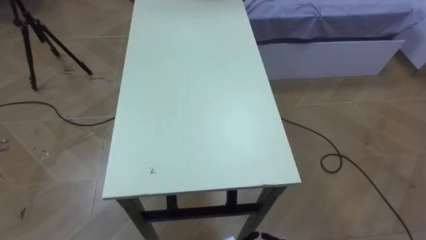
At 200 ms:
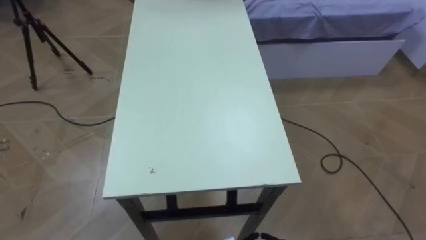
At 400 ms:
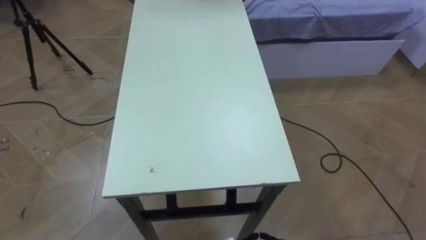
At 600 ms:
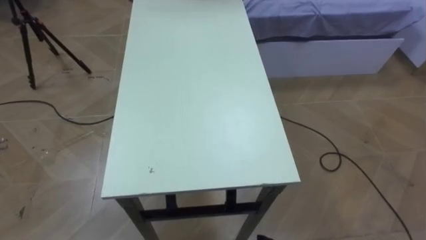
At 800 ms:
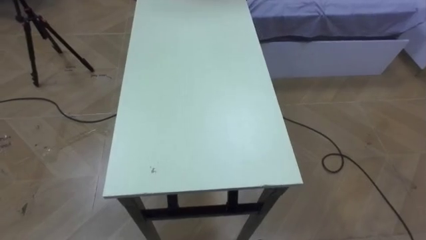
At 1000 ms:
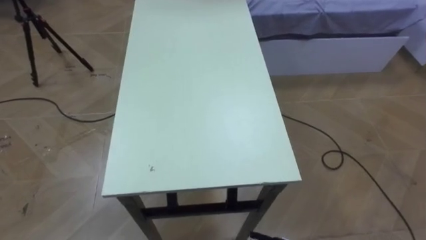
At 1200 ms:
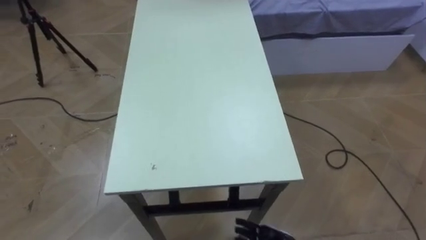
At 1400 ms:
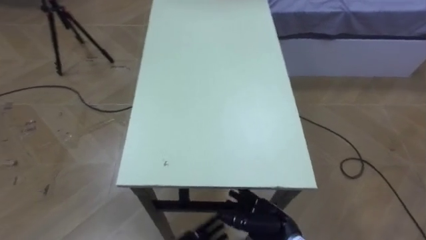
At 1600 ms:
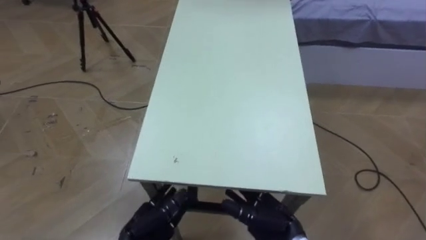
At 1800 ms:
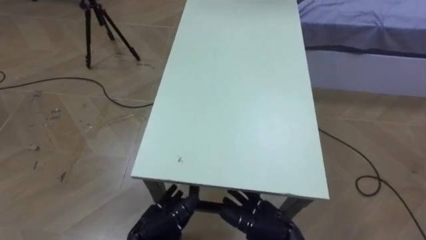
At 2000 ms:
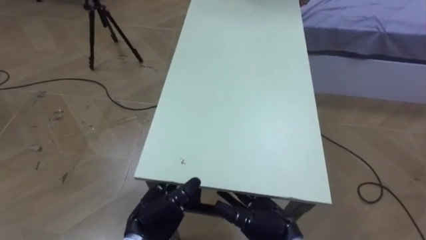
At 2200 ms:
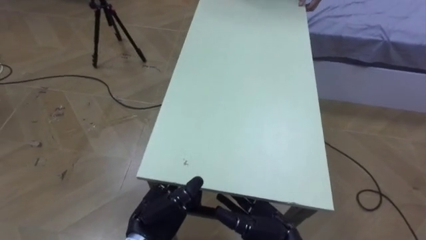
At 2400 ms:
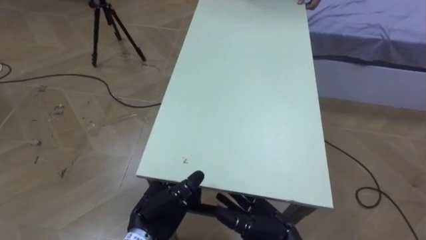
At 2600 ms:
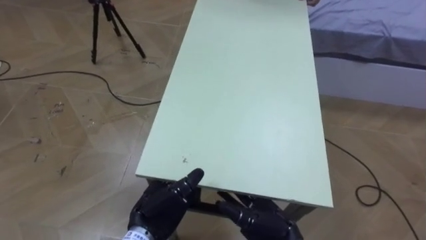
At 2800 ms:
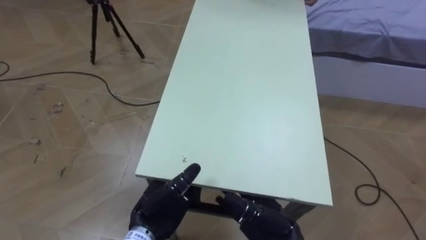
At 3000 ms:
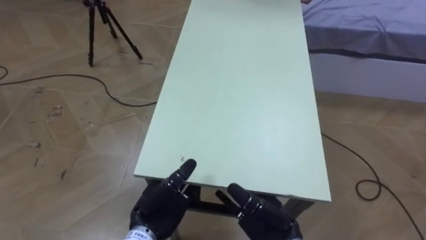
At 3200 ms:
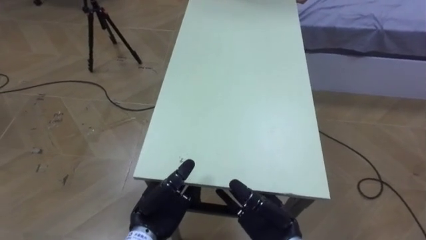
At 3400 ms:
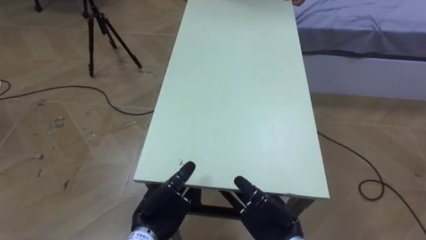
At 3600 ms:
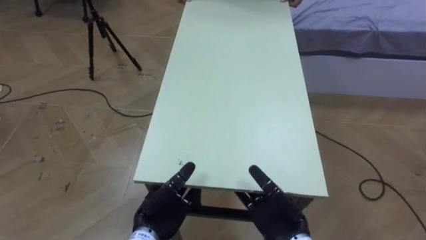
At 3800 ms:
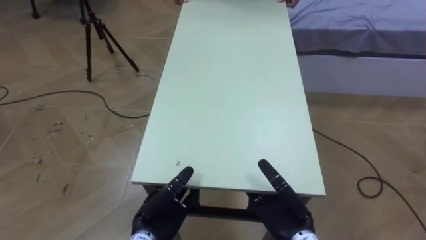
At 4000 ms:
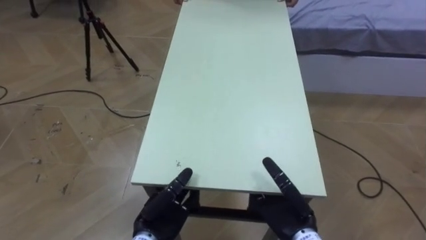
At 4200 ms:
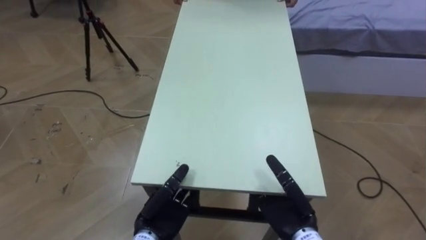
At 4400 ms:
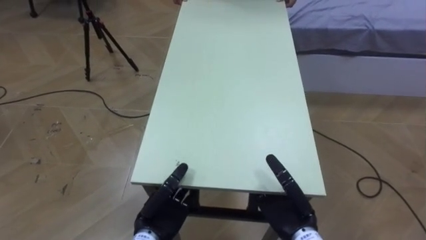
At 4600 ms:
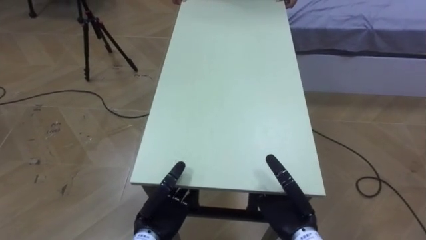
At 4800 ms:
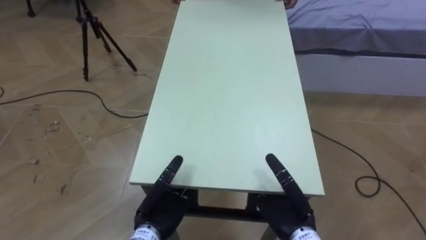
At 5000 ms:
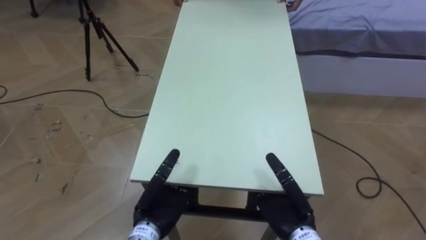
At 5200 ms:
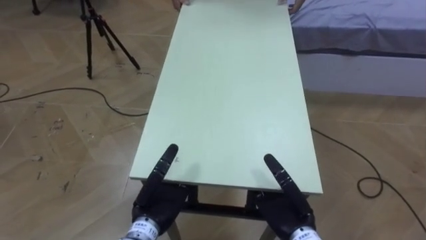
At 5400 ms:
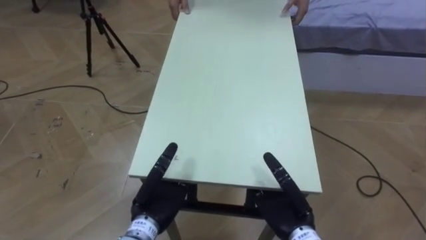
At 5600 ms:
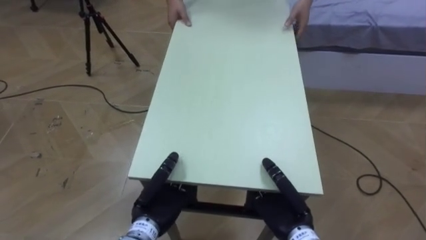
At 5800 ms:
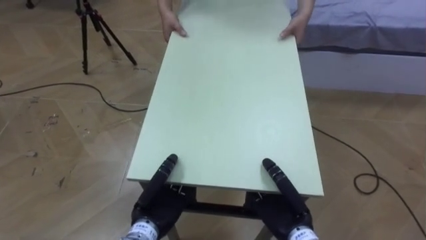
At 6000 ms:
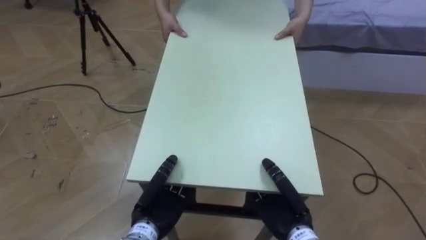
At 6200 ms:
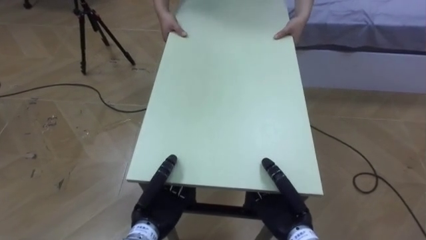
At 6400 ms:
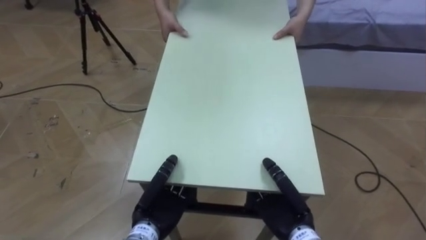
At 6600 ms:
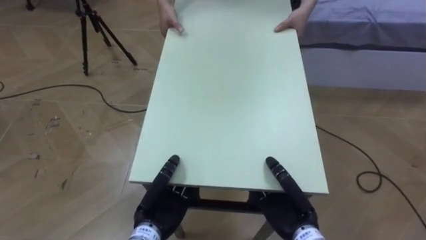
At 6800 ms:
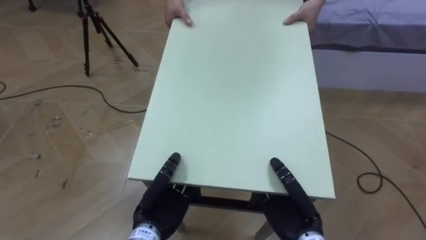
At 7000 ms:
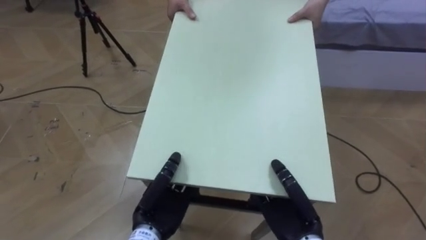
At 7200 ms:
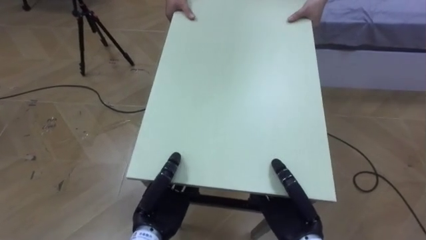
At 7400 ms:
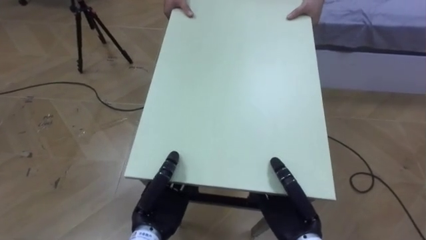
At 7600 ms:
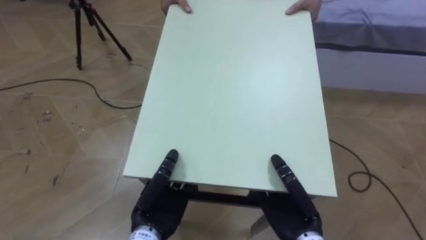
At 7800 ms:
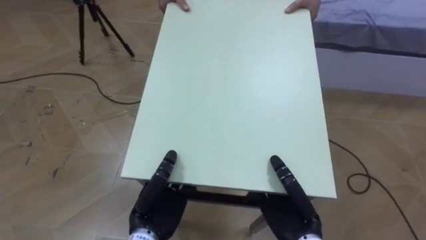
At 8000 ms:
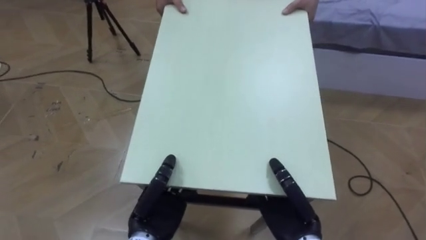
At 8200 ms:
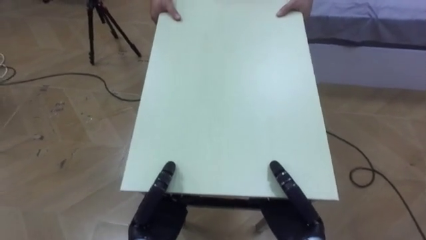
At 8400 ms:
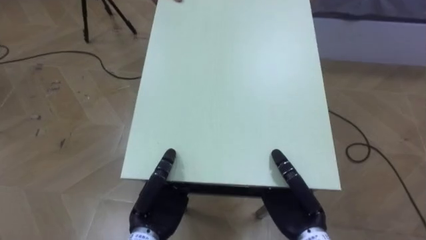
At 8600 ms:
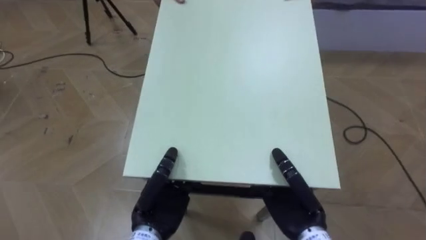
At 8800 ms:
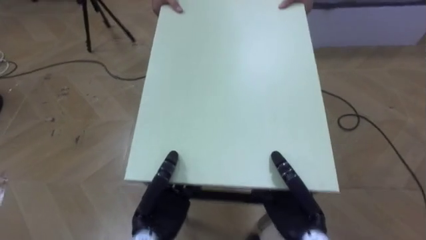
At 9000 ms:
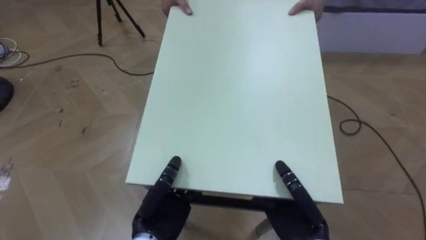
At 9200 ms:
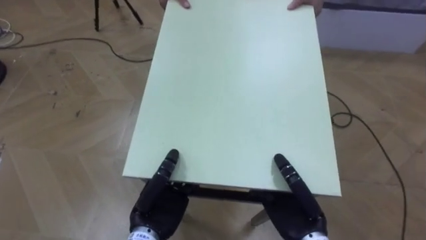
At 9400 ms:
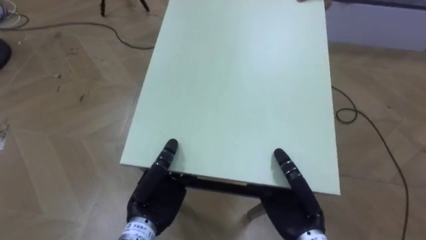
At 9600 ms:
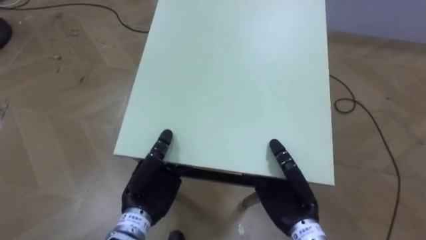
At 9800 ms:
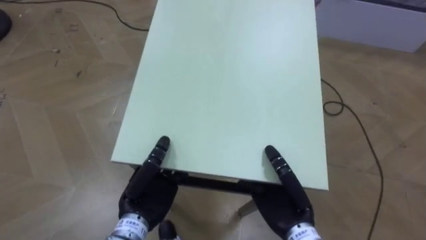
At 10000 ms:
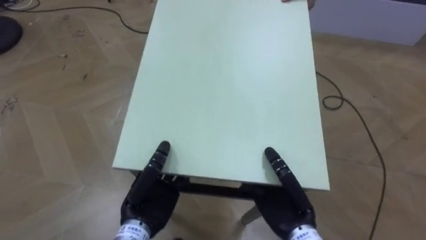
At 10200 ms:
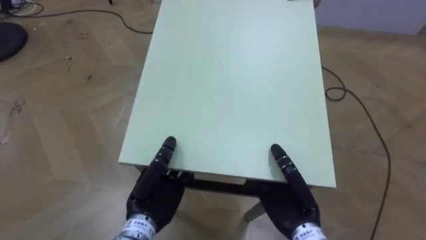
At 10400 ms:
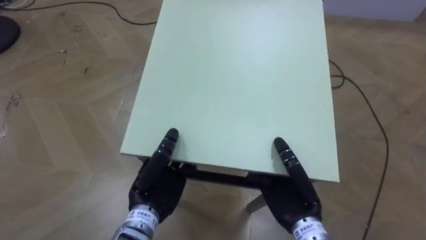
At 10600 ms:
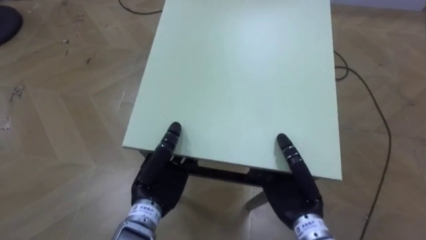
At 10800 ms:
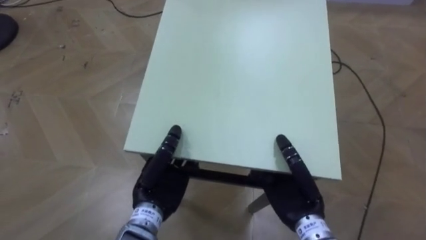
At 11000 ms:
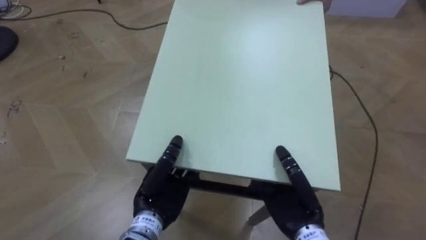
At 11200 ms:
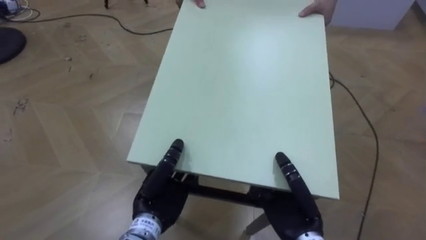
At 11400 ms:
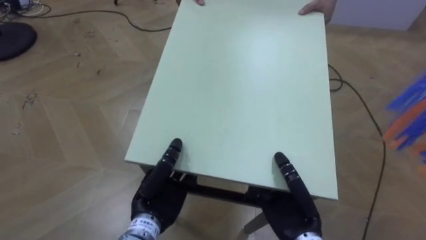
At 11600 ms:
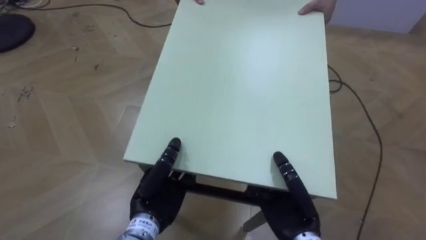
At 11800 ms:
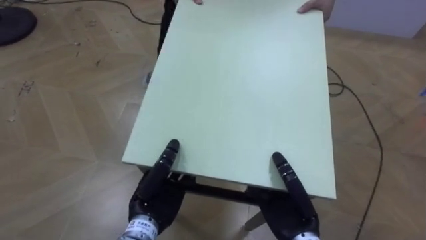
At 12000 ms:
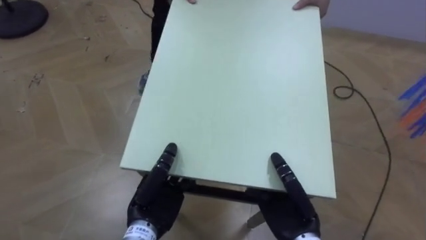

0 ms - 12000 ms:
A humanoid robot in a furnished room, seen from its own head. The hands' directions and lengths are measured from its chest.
Task of the whole recording: Move the table to the back left with someone.
1600 ms - 3000 ms: The left hand goes some 5 cm upward.
4400 ms - 6000 ms: The left hand closes up. Meanwhile the right hand closes its fingers.
9000 ms - 10400 ms: The left hand moves about 5 cm.

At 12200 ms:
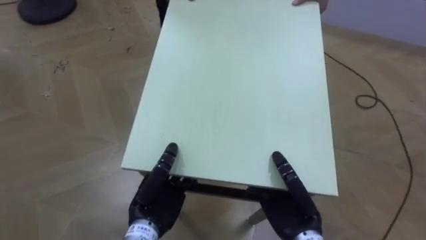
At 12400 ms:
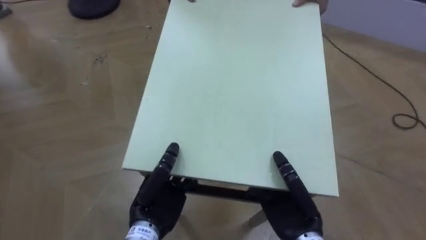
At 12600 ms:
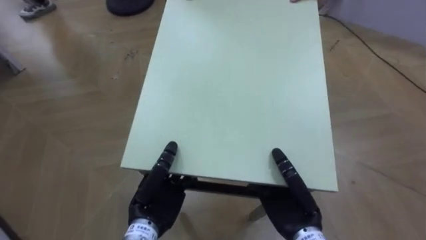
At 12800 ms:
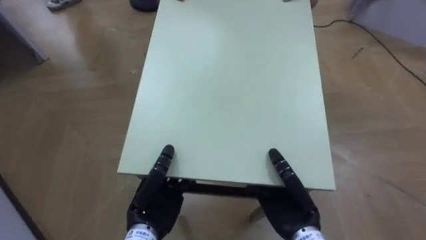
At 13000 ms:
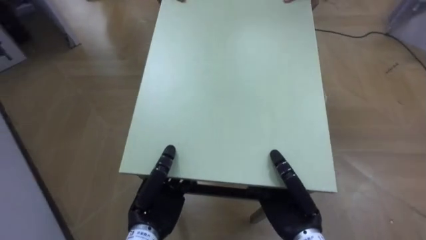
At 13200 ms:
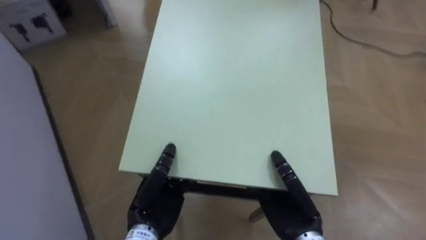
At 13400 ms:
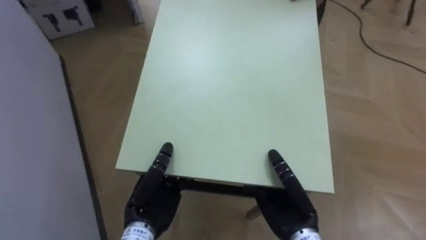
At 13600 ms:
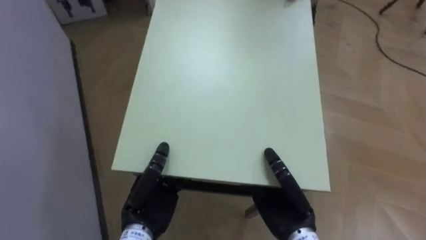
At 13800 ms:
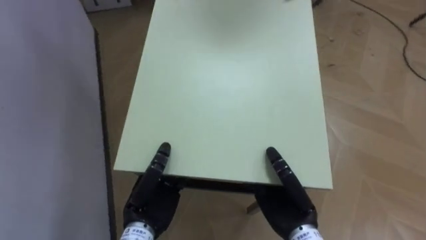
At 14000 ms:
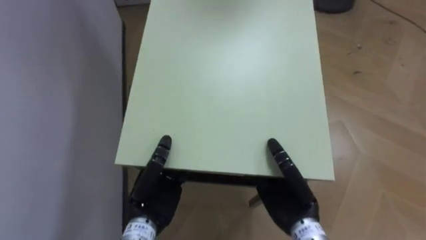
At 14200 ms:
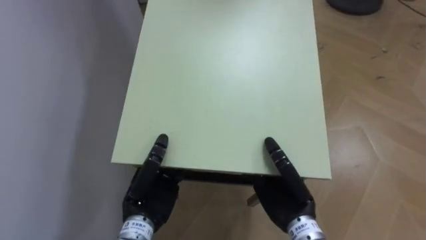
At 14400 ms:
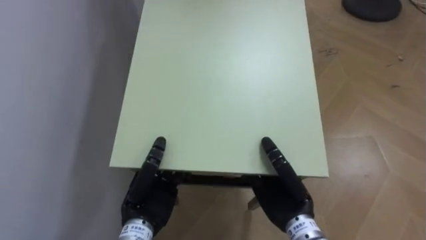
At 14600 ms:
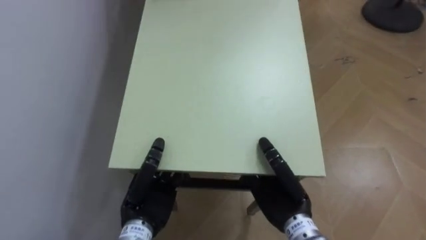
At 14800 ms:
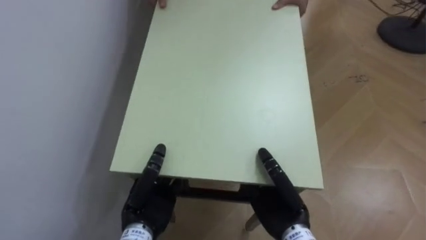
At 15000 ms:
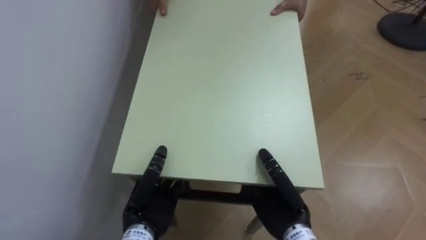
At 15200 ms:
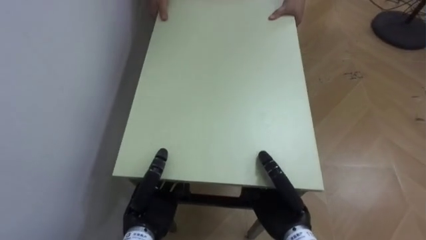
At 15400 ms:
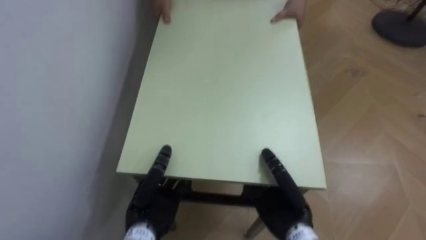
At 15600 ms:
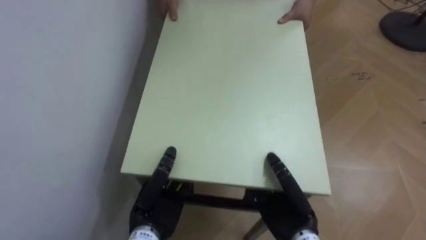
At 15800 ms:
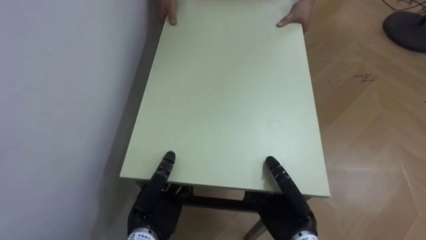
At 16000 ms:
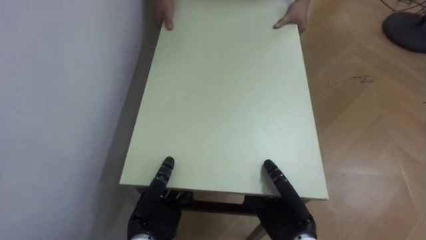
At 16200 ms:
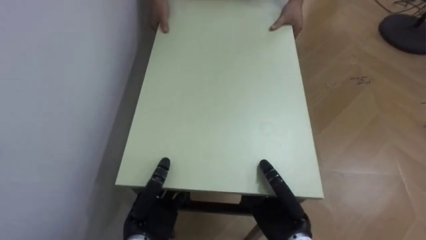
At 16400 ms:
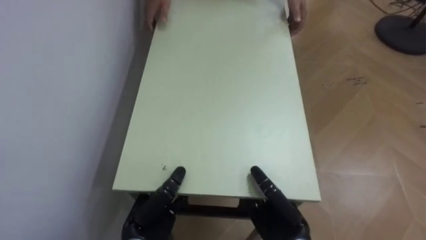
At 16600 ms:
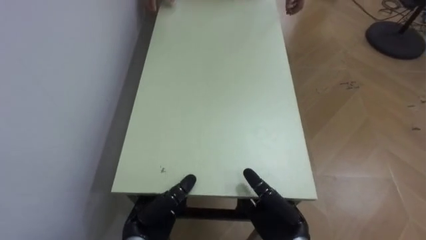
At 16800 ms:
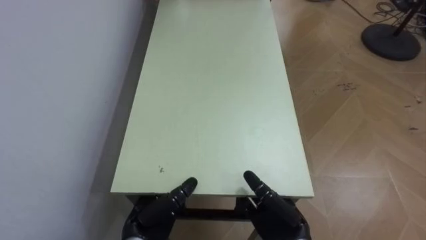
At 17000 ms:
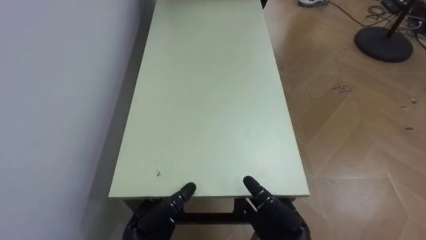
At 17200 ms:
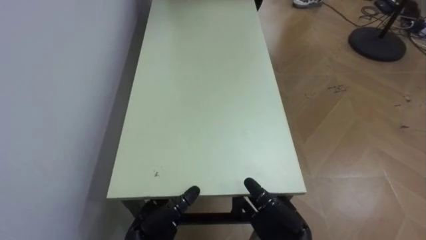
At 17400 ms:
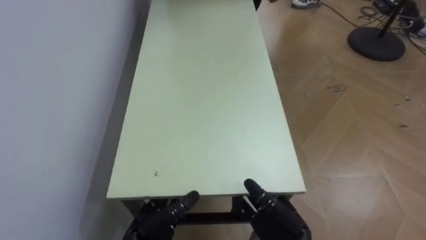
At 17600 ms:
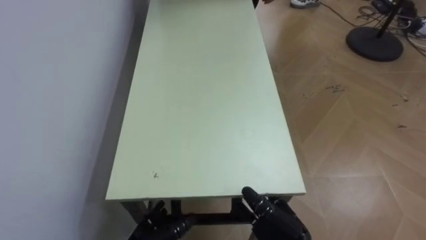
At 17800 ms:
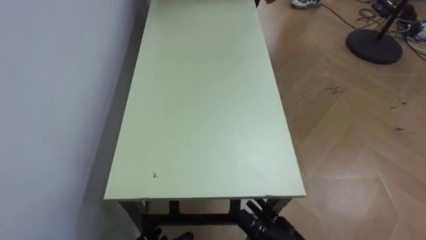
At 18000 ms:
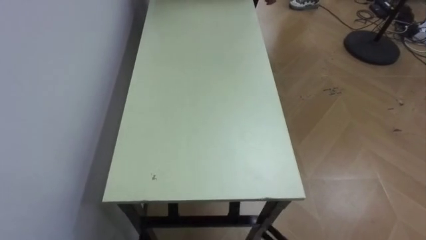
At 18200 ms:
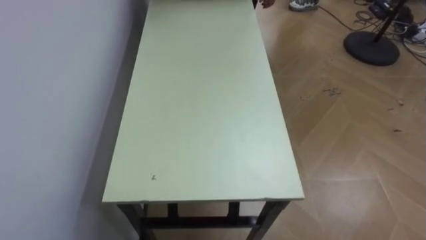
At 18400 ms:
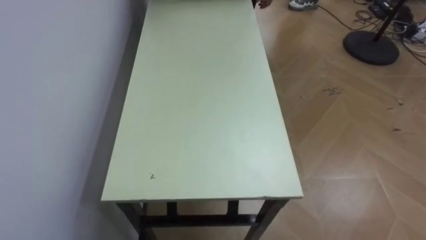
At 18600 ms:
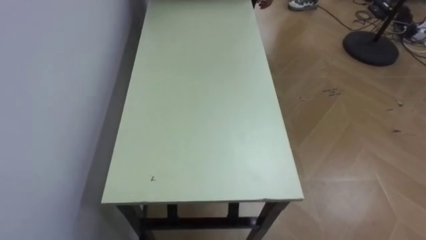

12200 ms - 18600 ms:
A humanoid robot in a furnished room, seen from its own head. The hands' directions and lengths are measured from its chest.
Task of the whole recording: Move the table to the back left with someone.
12200 ms - 13800 ms: The robot's body swings approximately 50 degrees to its left.
13800 ms - 15400 ms: The robot rotates approximately 20 degrees to its left.
15400 ms - 17000 ms: The left hand opens up. Meanwhile the right hand opens up.
